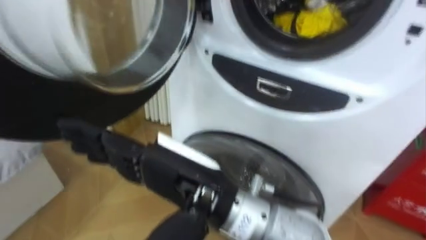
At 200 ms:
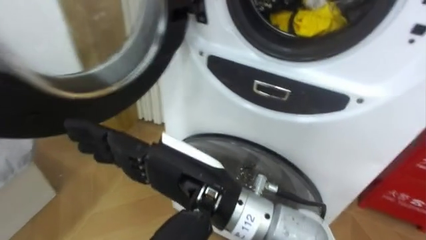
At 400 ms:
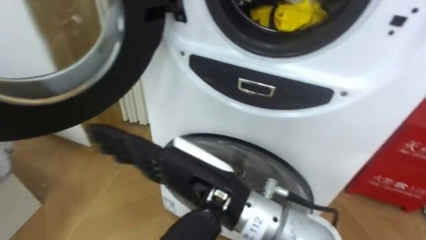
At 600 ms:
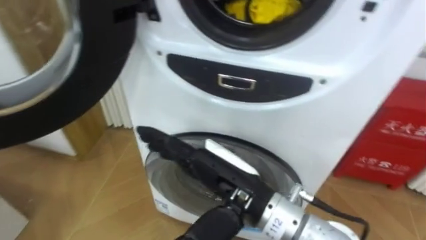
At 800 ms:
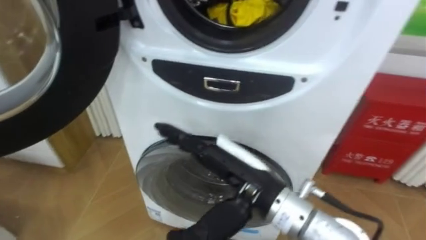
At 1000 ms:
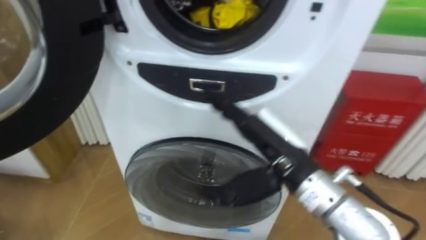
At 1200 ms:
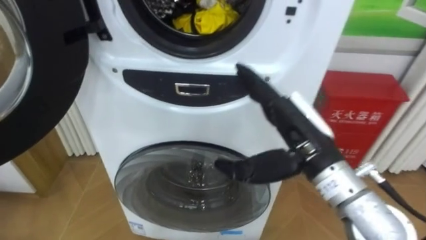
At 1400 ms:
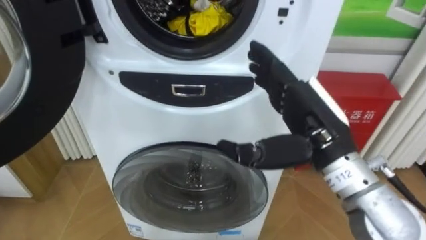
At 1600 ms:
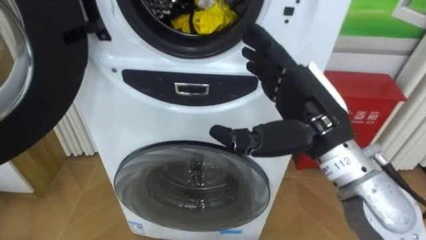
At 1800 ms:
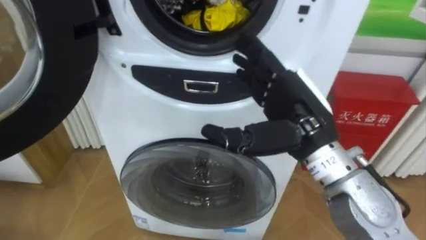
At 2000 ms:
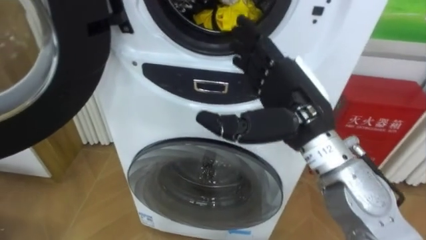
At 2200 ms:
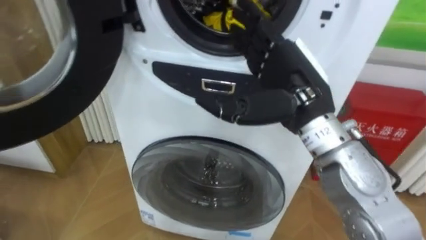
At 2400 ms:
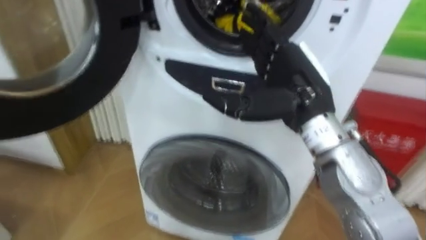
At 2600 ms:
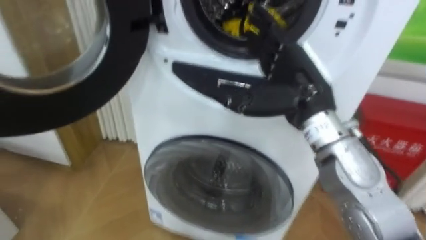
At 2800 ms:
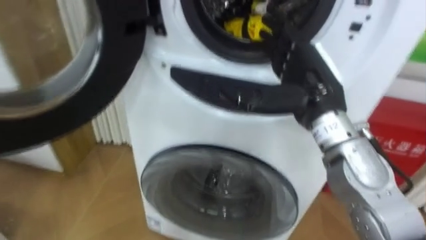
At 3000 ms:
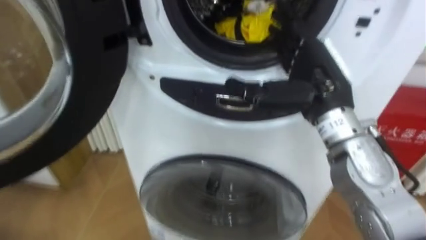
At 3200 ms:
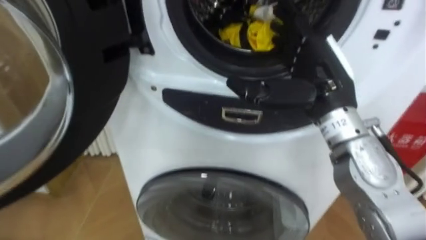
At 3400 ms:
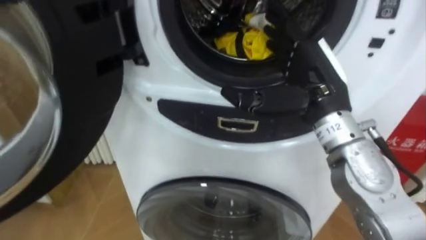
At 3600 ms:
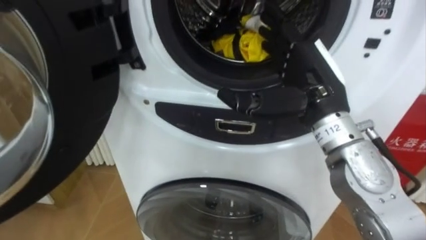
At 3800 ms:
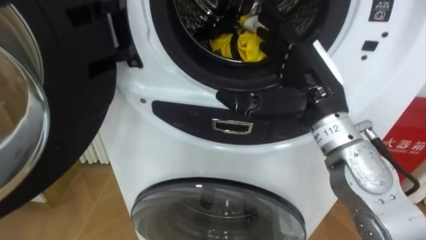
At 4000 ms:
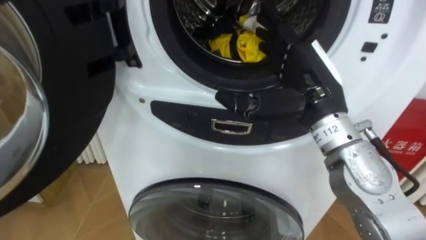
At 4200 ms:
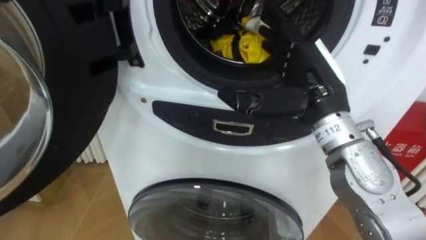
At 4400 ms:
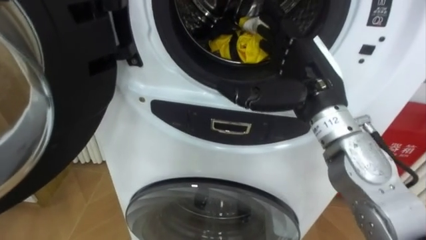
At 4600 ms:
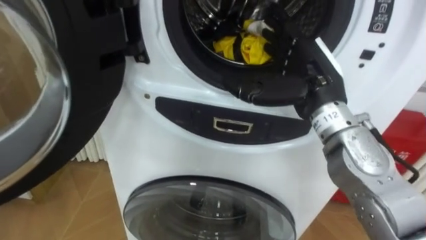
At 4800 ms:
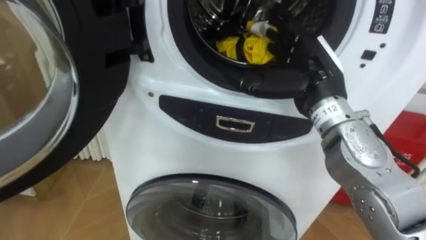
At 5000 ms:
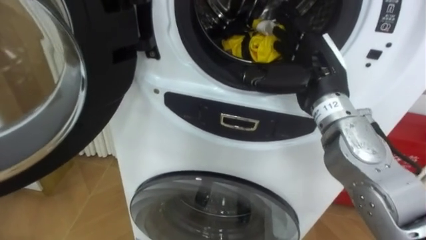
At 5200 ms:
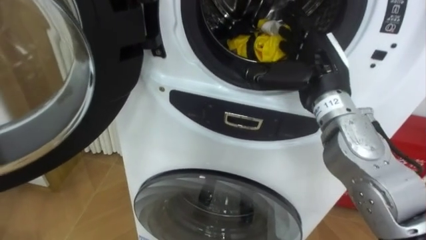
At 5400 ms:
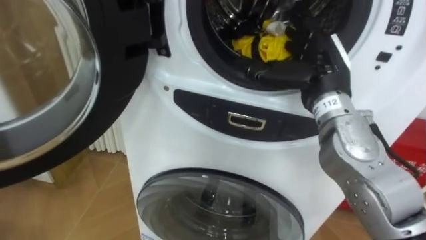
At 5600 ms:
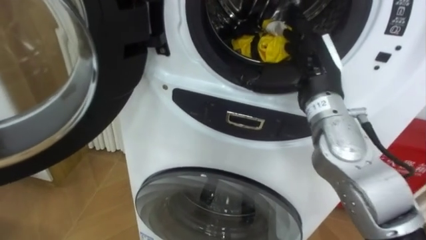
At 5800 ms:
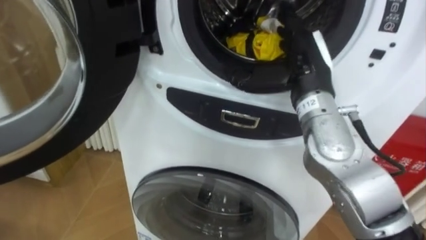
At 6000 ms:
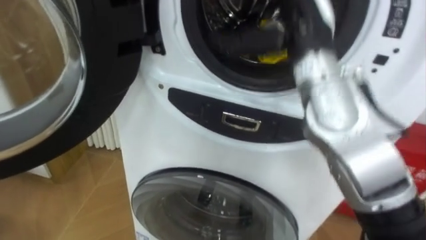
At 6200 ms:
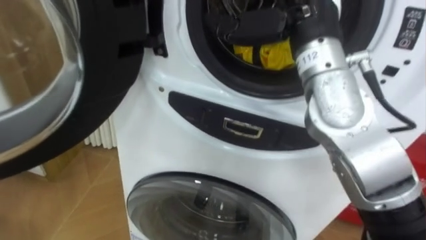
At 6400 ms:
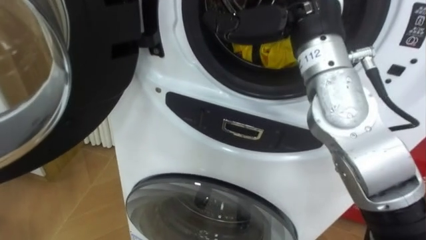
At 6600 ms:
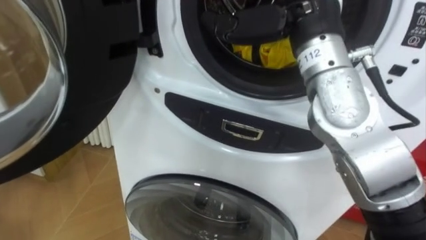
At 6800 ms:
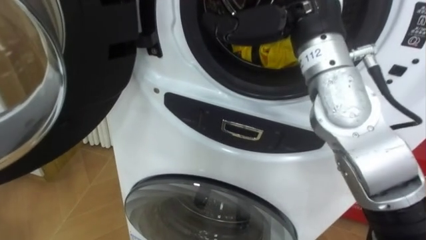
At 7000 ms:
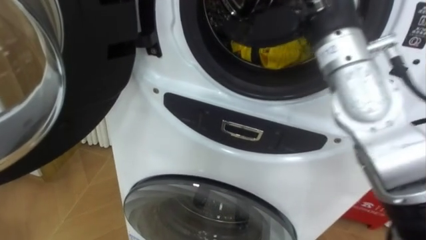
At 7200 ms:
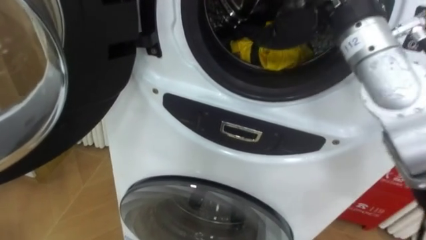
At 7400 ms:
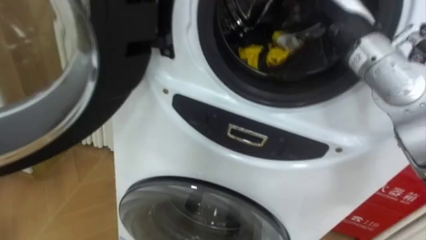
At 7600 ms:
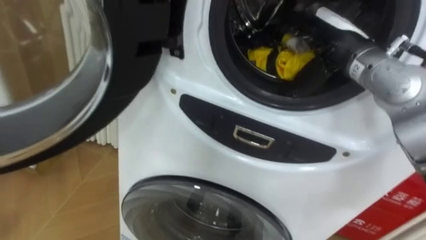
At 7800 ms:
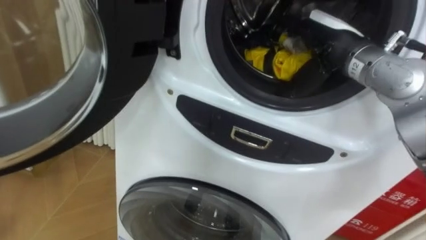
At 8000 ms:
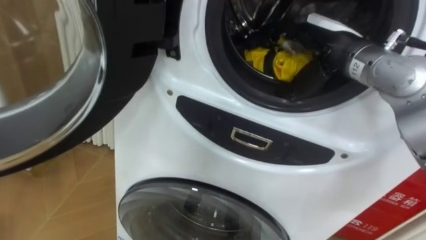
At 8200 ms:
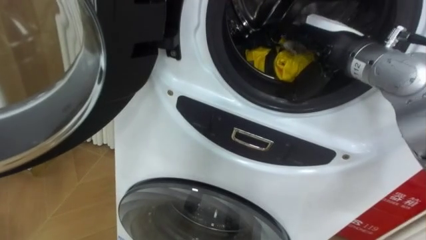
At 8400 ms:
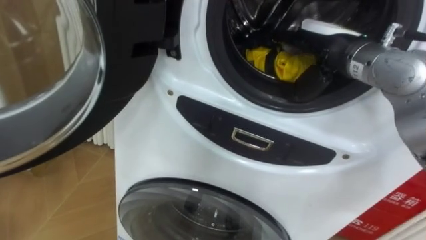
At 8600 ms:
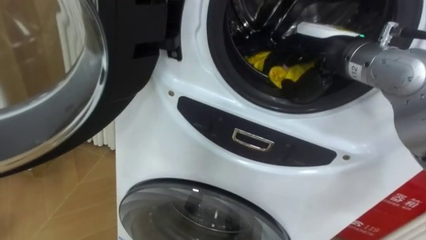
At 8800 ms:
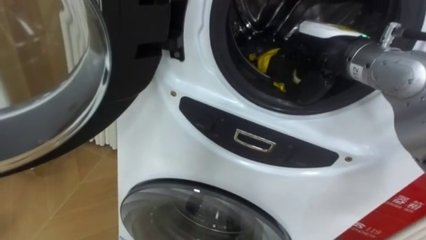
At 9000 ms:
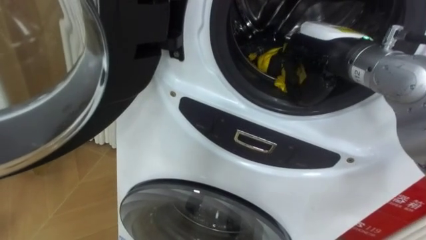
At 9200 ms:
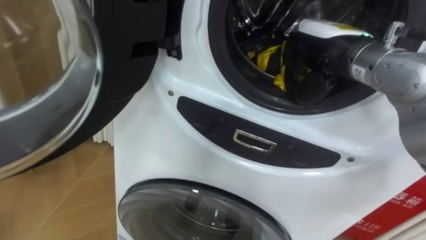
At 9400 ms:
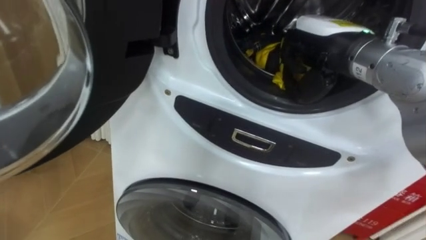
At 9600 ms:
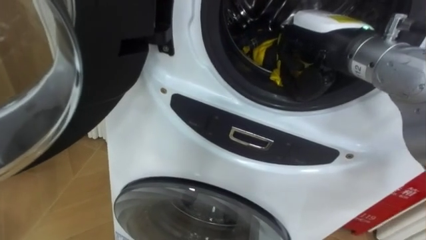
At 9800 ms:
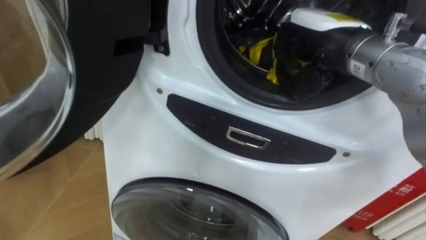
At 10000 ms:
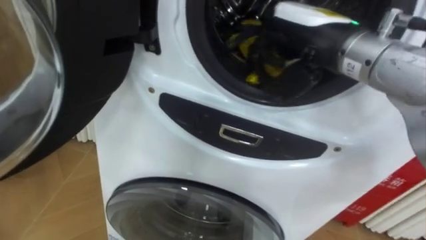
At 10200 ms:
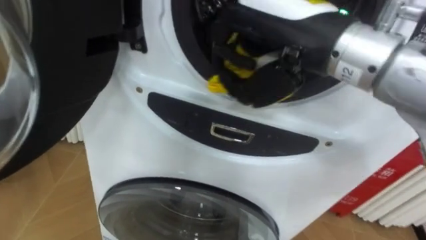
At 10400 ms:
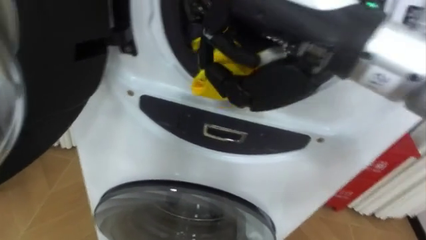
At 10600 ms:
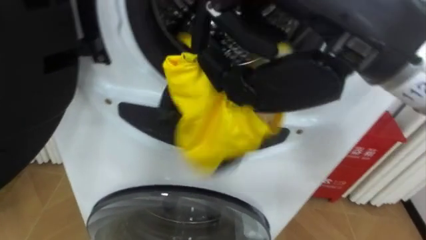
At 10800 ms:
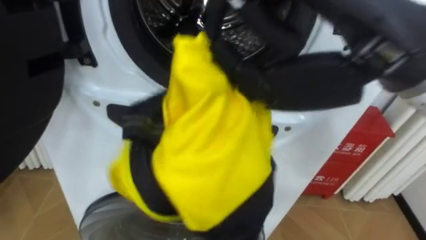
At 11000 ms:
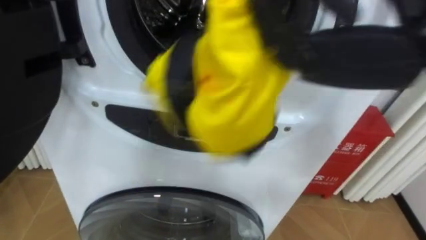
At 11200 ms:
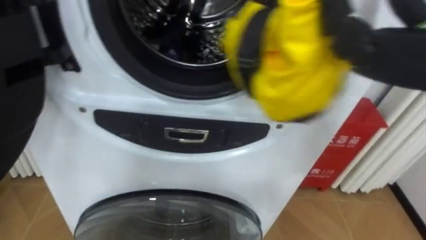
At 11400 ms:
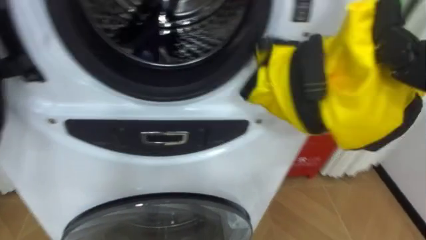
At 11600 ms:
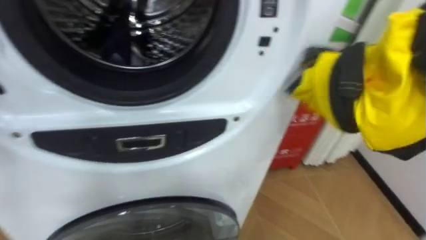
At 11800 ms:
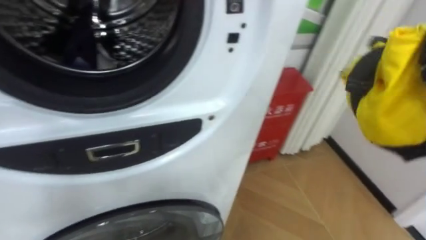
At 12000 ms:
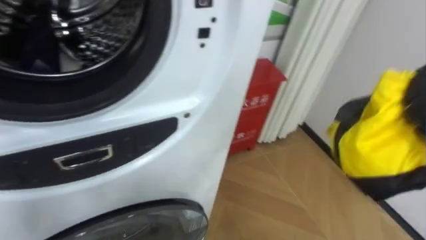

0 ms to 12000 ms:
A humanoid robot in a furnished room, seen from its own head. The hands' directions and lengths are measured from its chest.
Task of the whole recording: Open the washing machine door, take out the yellow clothes, place them in the box on the right, and close the washing machine door.
0 ms to 1600 ms: The right hand travels to the right and forward by about 20 cm.
1600 ms to 3000 ms: The right hand is displaced forward by approximately 5 cm.
4400 ms to 6000 ms: The right hand moves upward, roughly 10 cm.
7600 ms to 9000 ms: The right hand closes up.
9000 ms to 10400 ms: The right hand moves backward, upward and to the left, about 20 cm.

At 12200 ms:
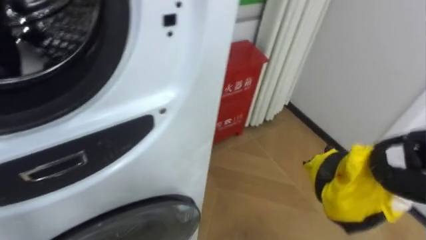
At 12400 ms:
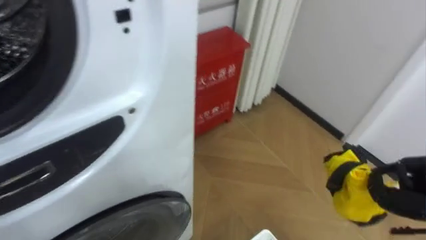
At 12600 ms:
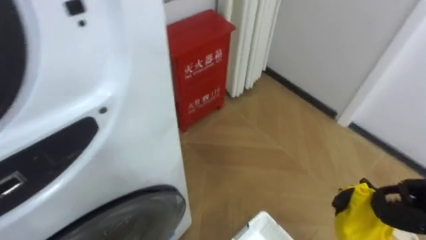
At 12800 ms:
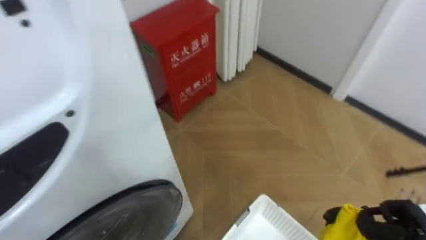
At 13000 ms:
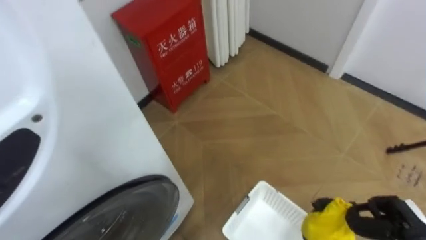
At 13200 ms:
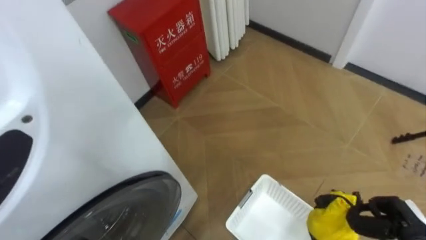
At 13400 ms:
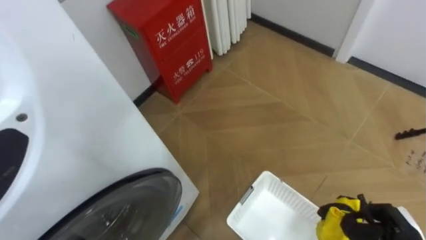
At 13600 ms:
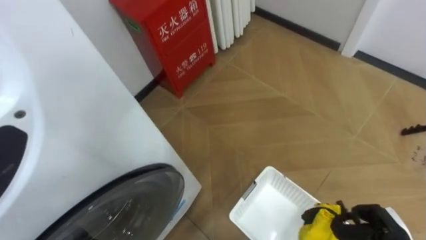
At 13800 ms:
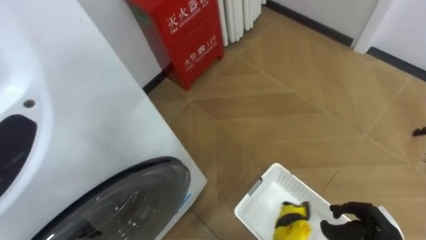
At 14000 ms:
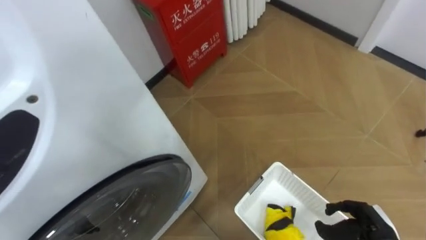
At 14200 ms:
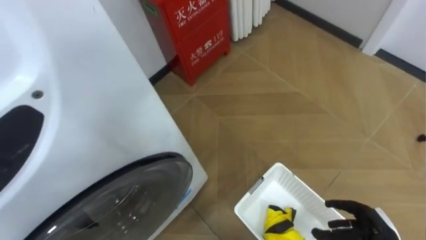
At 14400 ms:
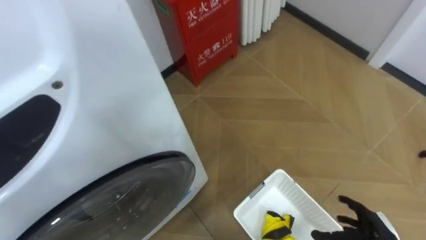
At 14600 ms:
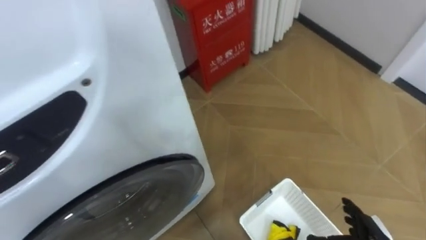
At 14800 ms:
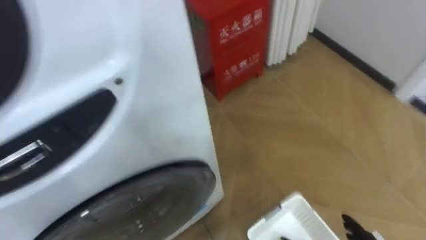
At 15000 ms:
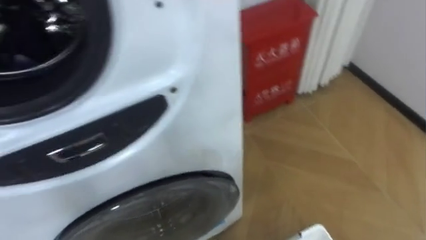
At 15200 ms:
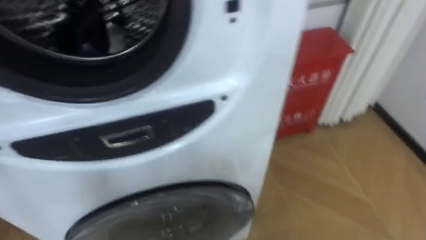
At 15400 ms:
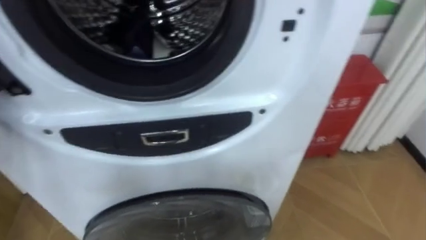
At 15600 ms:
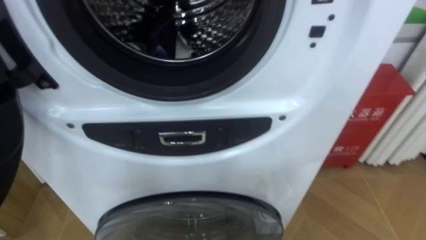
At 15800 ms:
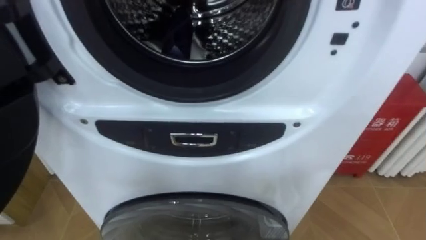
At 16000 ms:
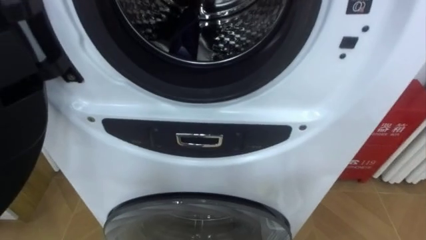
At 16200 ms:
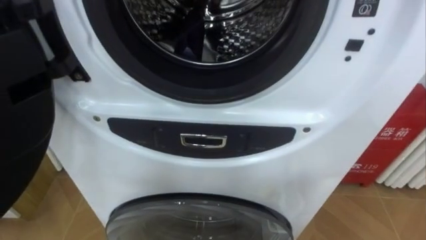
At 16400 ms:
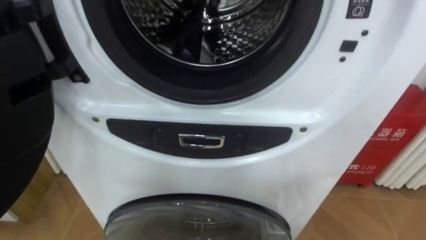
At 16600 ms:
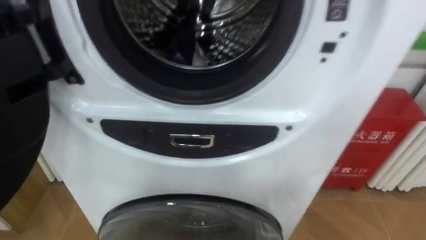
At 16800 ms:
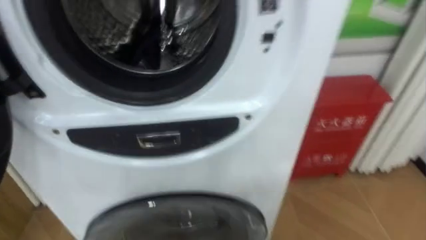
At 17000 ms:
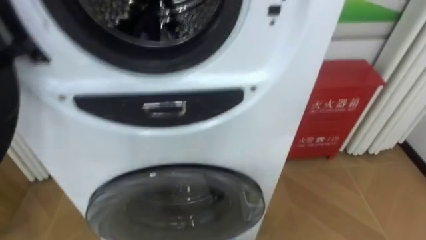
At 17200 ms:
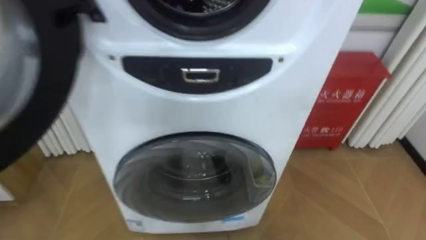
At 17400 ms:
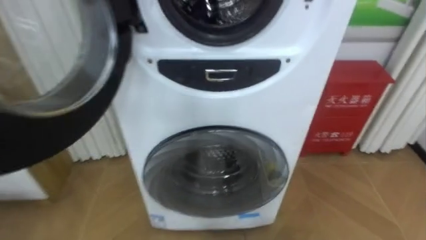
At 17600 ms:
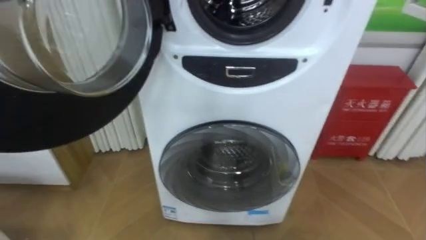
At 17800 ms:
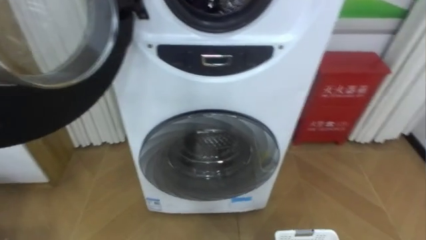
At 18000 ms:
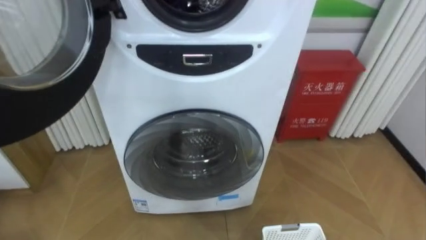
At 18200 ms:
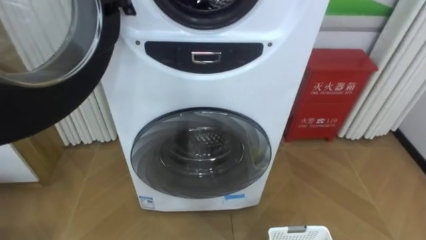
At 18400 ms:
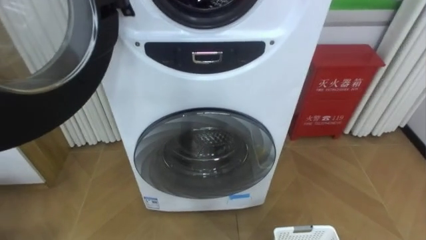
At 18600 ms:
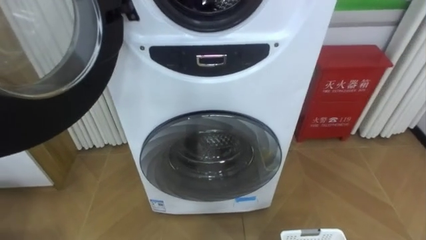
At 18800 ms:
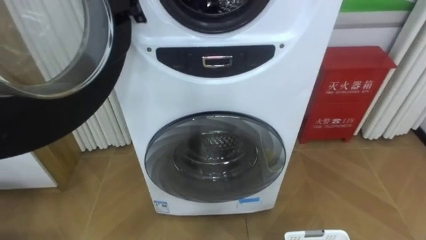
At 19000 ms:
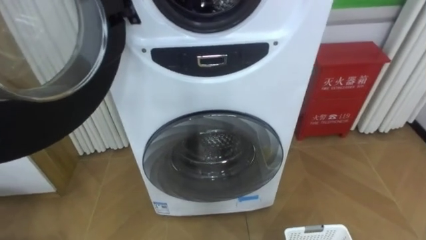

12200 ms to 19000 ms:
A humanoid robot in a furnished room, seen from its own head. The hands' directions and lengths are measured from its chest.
Task of the whole recording: Open the washing machine door, take out the yellow clothes, place them in the box on the right, and close the washing machine door.
13600 ms to 15000 ms: The robot turns to its left by about 15 degrees.
